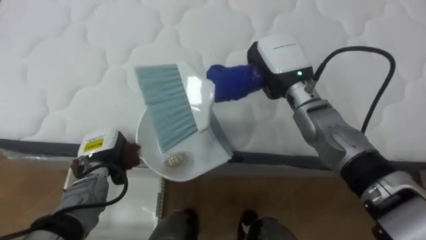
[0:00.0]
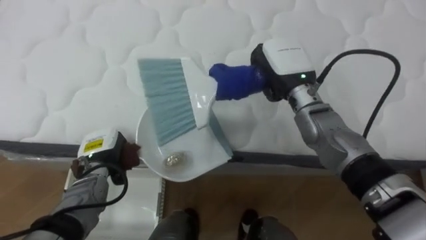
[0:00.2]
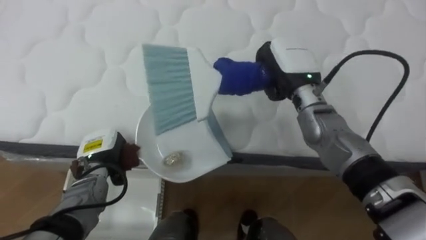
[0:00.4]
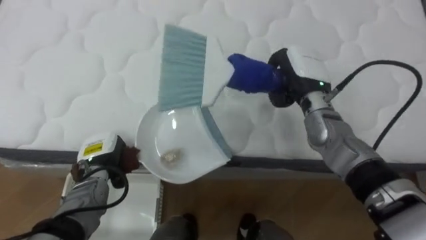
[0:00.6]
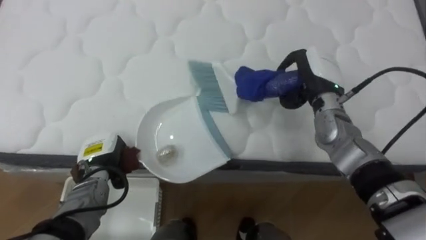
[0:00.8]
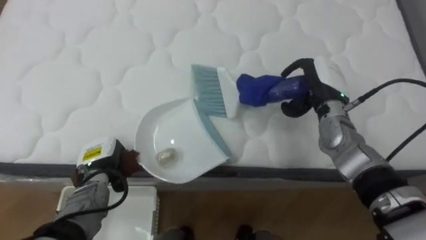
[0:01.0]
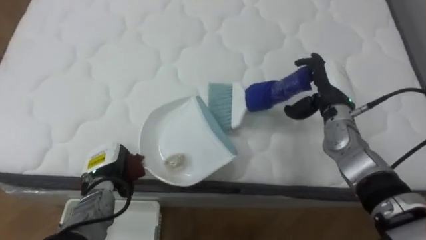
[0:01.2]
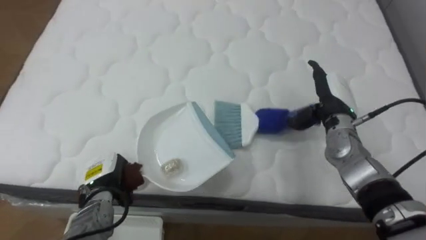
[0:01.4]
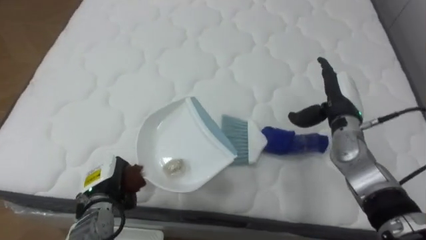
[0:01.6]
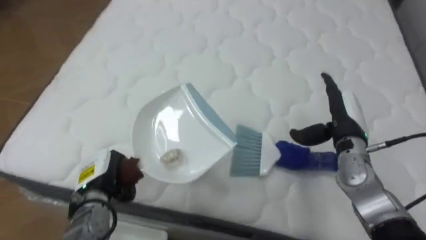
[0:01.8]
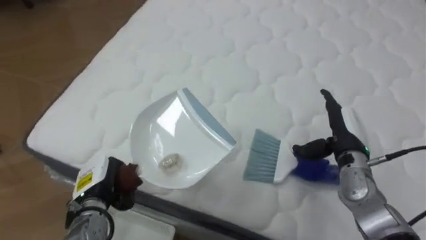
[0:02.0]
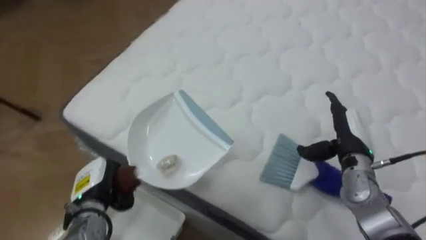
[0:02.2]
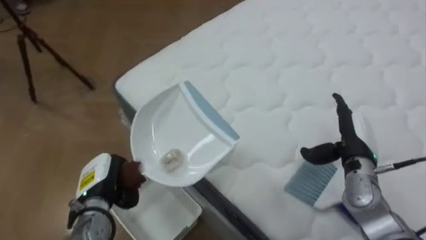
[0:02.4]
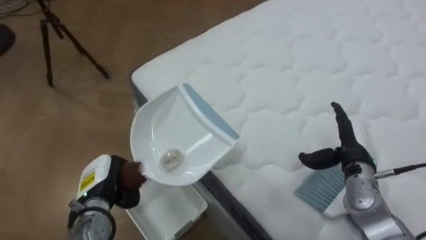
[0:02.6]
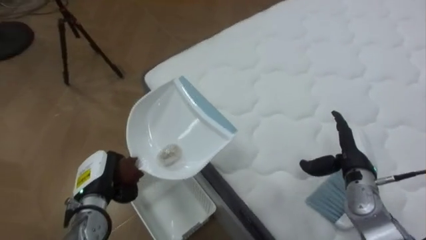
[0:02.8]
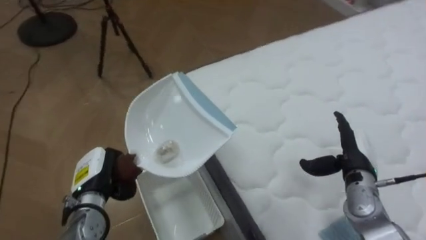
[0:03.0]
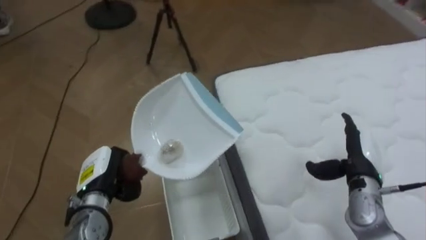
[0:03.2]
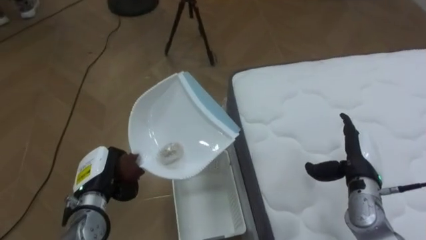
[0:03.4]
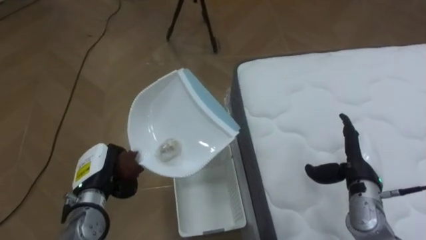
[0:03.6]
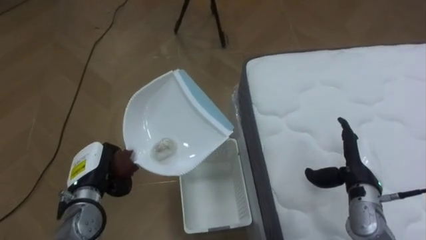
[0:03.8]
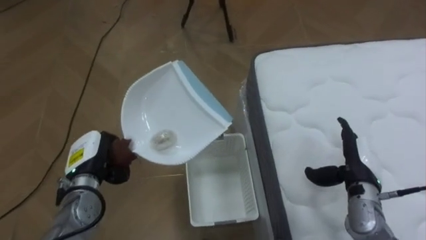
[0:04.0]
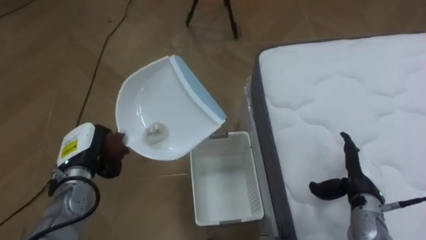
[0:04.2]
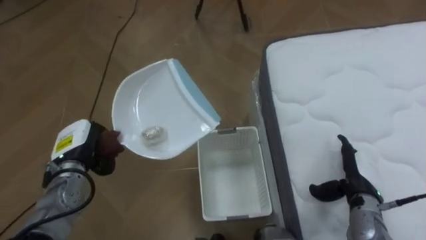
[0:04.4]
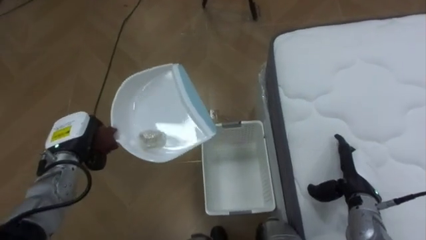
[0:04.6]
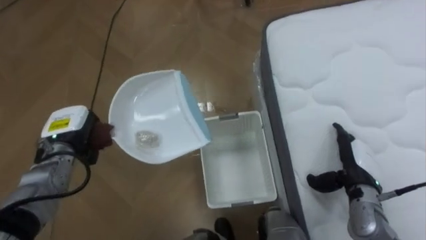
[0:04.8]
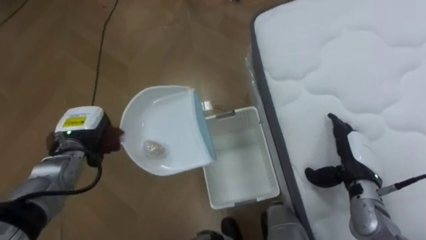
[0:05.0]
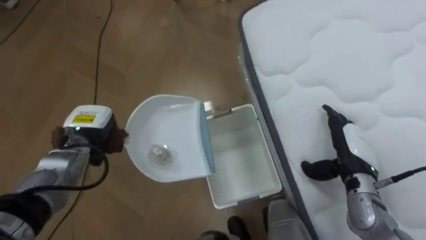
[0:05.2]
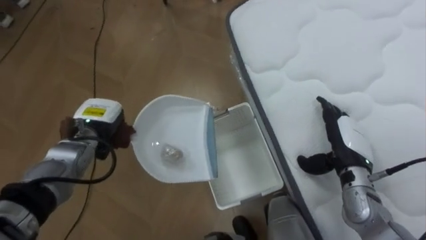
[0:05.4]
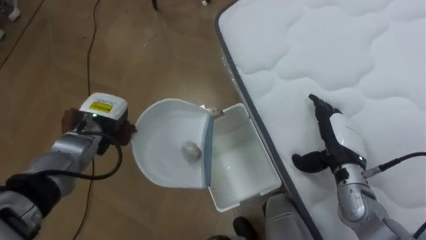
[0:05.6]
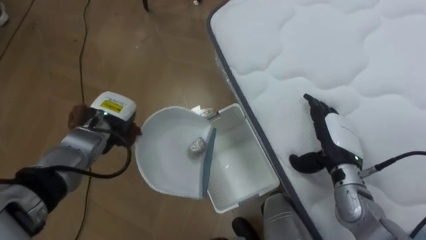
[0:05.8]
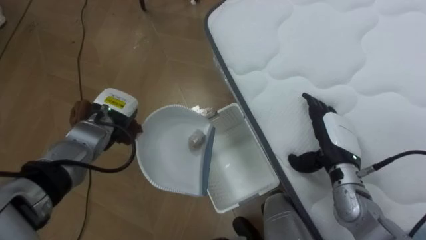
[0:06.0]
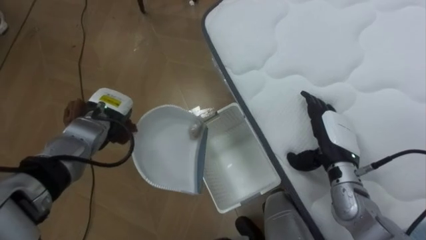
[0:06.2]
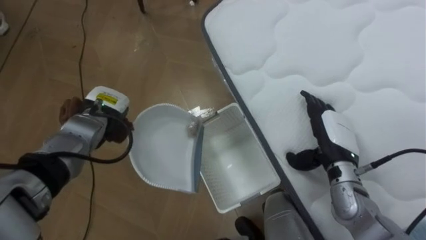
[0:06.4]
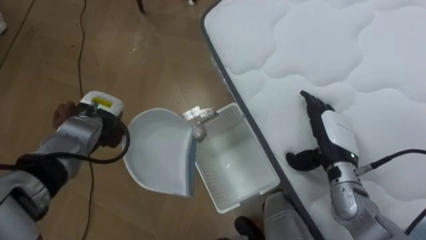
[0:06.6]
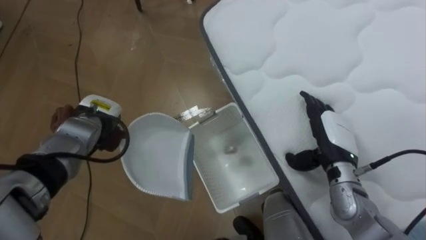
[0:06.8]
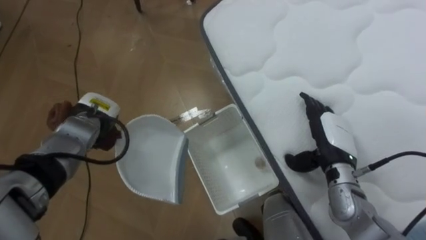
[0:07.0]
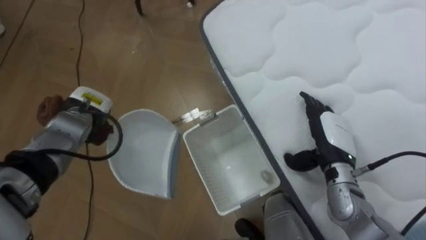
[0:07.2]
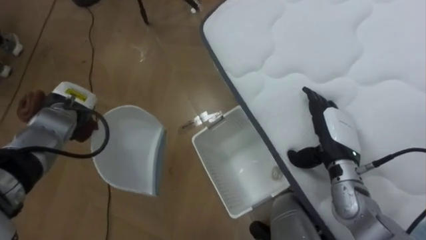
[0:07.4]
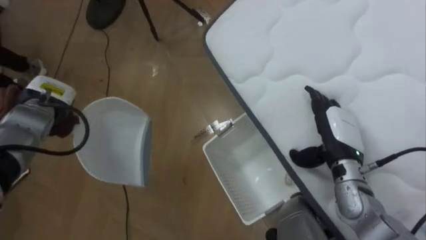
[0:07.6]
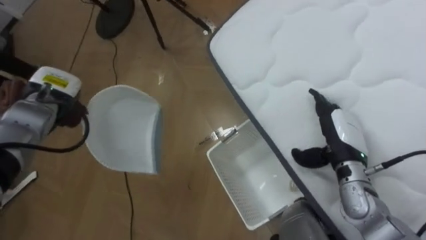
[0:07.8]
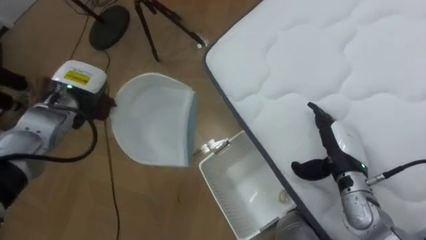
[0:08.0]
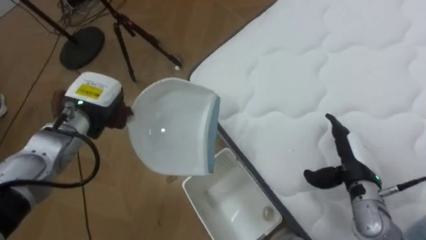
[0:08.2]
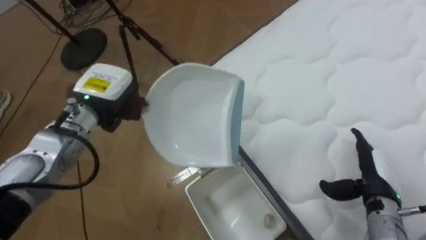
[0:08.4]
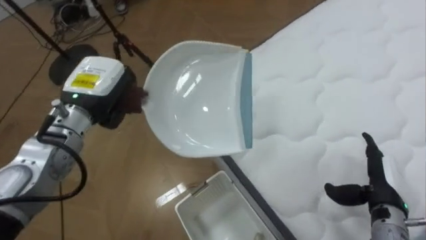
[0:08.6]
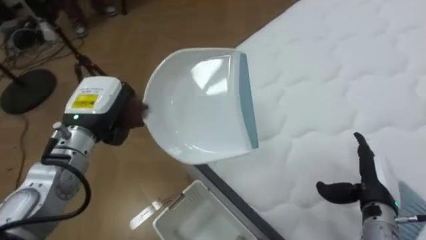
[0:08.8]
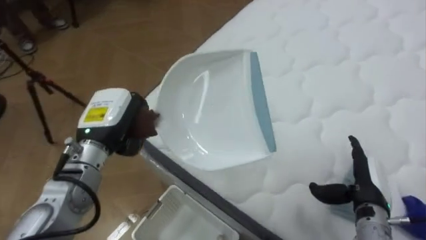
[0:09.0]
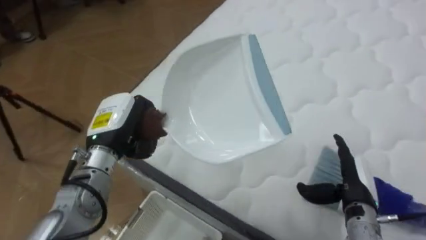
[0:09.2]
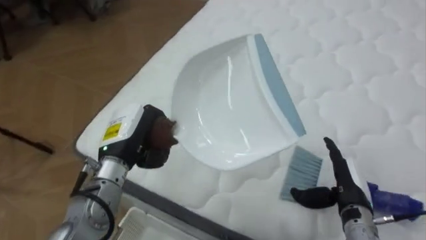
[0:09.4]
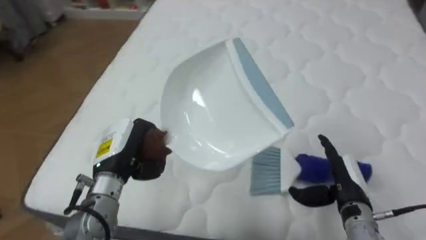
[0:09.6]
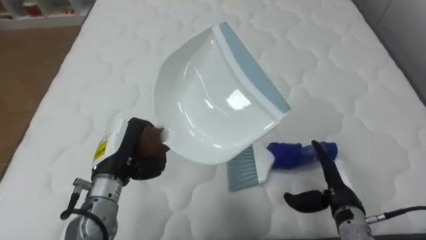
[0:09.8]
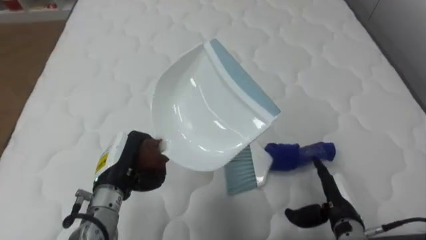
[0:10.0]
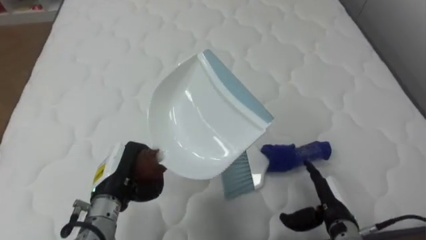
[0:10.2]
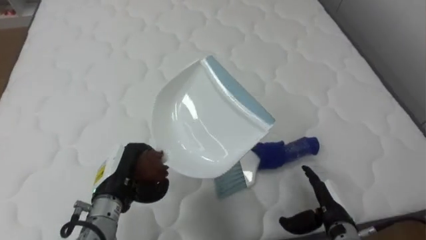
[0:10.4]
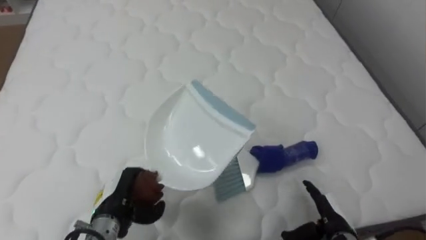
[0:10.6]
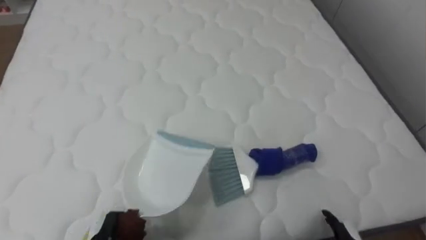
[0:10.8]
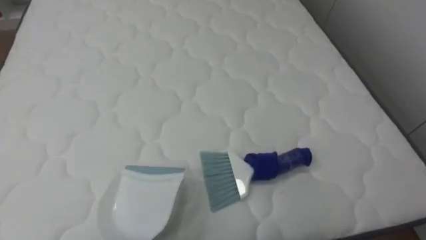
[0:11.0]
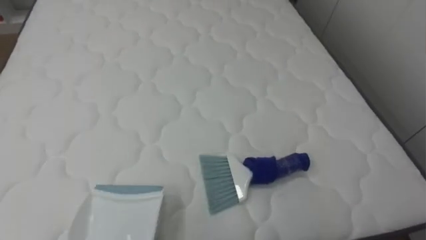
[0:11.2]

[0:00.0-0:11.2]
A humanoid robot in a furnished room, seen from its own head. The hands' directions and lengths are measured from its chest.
Task of the whole recording: Pick up the brush on your right and the dustpan on your left. Use the brush to sweep the crumpled paper on the bed into the dustpan, then turn left and empty it into the basket.
0:00.0 to 0:01.6: The right hand travels to the right and downward by approximately 15 cm, and opens its fingers. Meanwhile the left hand heads backward, covering some 5 cm.
0:01.6 to 0:03.2: The robot turns to its left by some 75 degrees. The right hand shifts approximately 10 cm backward and downward.
0:03.2 to 0:04.8: The left hand is displaced forward, to the left and upward by about 10 cm.
0:04.8 to 0:06.4: The right hand goes some 5 cm to the left. The left hand heads to the right and forward, covering some 10 cm.
0:06.4 to 0:08.0: The left hand moves upward, roughly 5 cm.
0:08.0 to 0:09.6: The robot's body swings about 70 degrees to its right. The left hand travels backward and to the right by roughly 15 cm; the right hand shifts roughly 5 cm backward.
0:09.6 to 0:11.2: The robot's body swings about 20 degrees to its right.

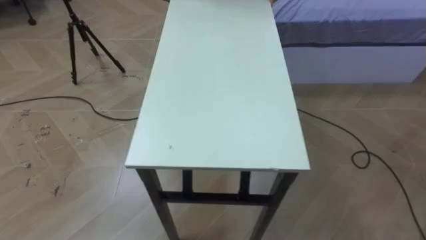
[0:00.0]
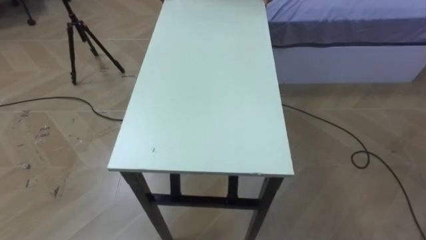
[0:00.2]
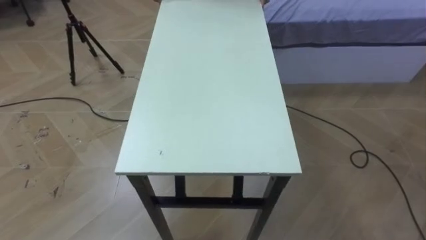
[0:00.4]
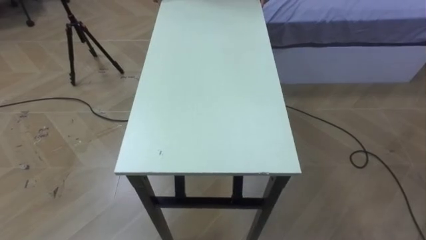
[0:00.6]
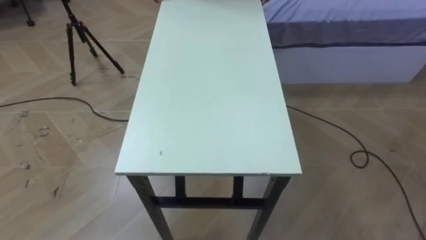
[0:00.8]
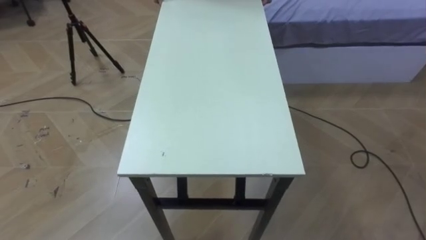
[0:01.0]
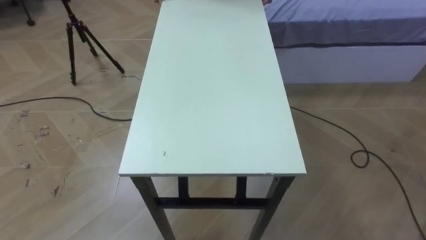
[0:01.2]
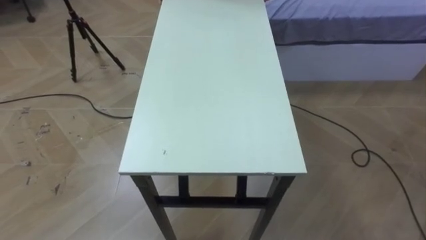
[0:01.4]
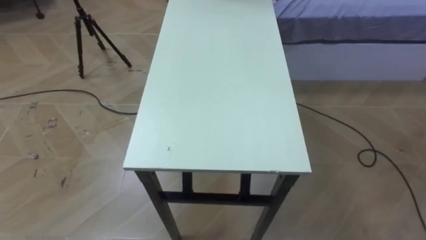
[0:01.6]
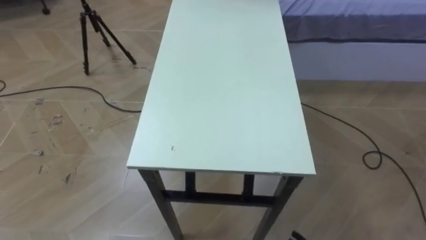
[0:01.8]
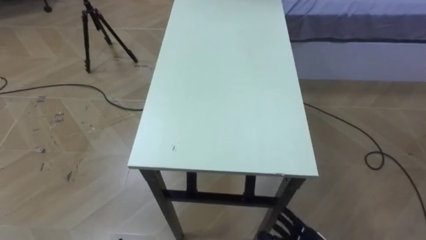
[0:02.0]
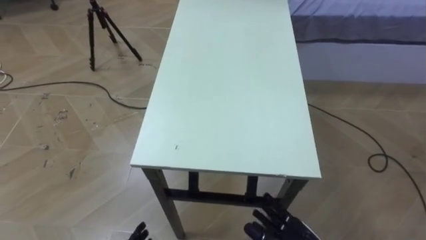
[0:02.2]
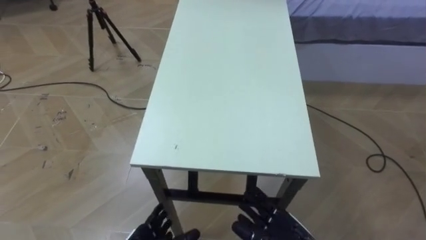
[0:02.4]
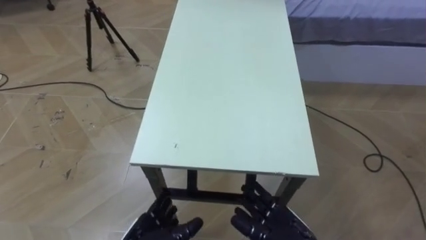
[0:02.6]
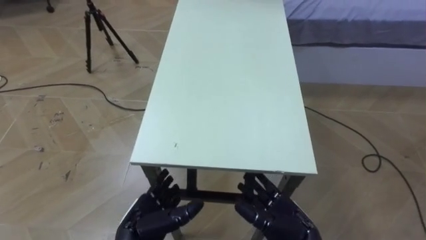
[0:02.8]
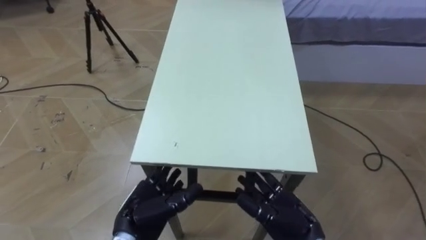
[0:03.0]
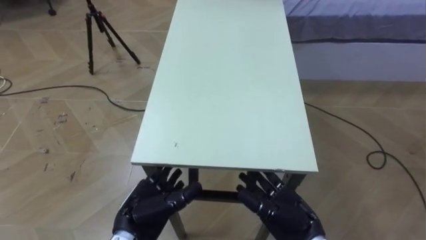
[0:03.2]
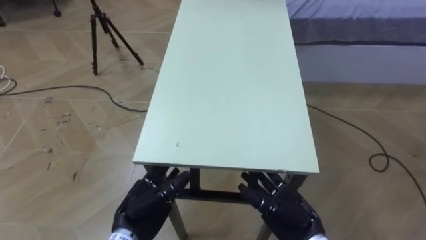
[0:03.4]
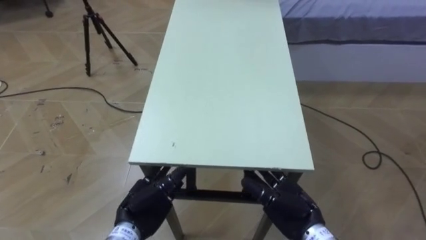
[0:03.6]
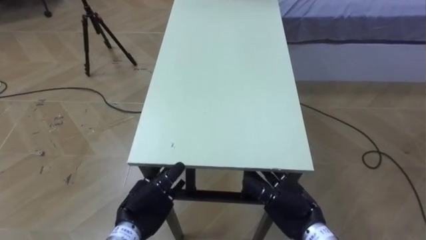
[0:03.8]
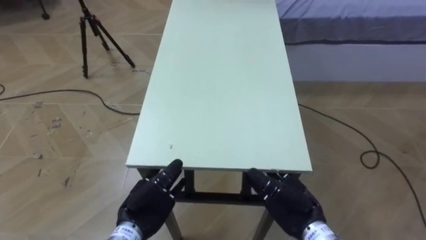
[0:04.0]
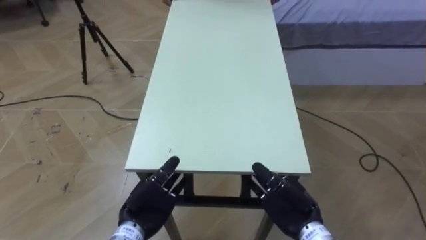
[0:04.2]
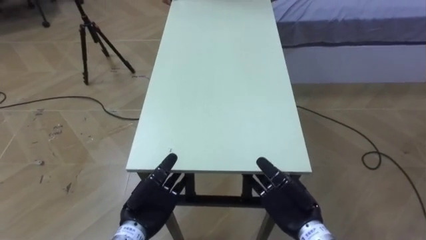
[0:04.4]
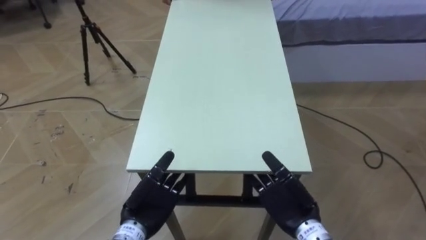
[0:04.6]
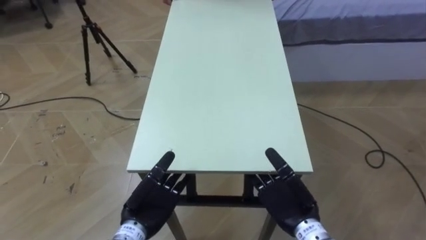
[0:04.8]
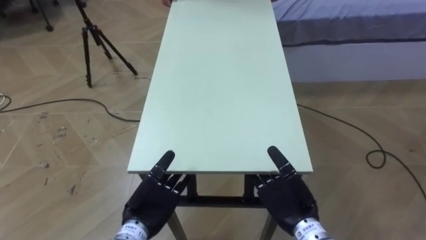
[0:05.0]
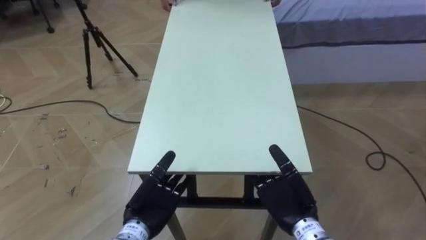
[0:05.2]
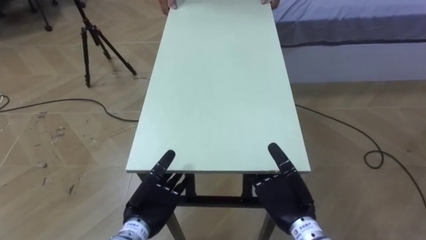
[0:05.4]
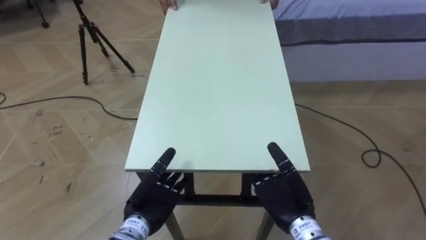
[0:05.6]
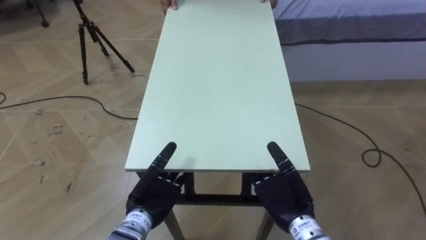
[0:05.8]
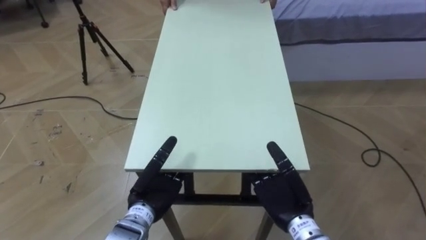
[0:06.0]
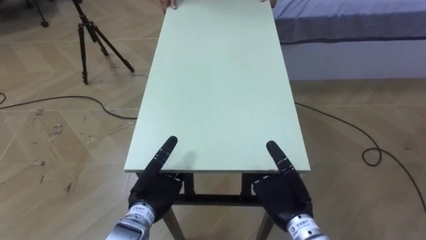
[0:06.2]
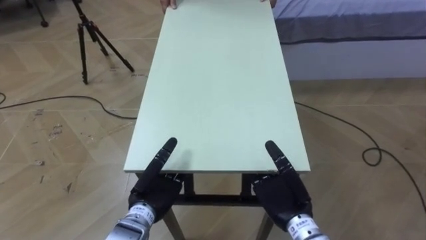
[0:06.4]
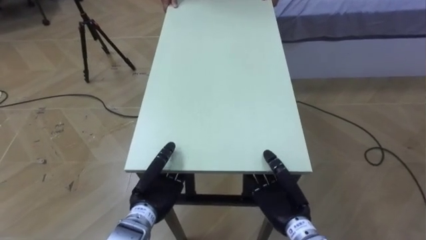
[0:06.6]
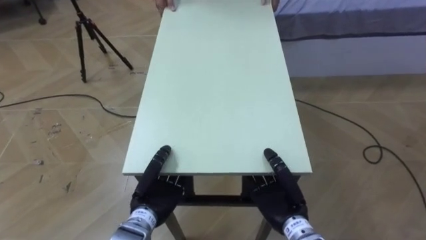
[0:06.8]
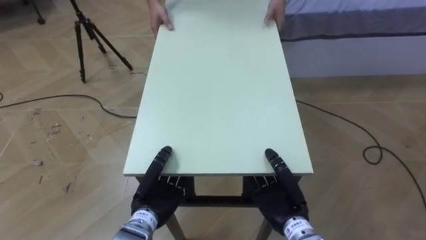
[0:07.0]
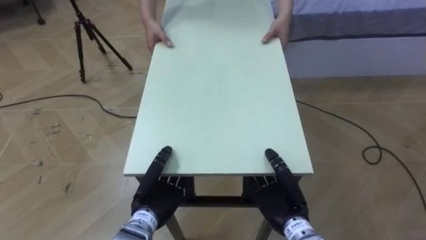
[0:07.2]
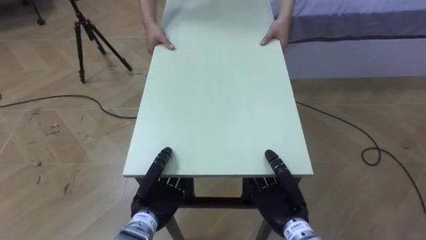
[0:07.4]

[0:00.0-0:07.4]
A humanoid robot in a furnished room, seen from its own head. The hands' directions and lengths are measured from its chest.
Task of the whole recording: Move the table to the back left with someone.
0:04.4 to 0:06.0: The hands make only small movements.
0:06.0 to 0:07.4: The left hand closes; the right hand closes its fingers.
